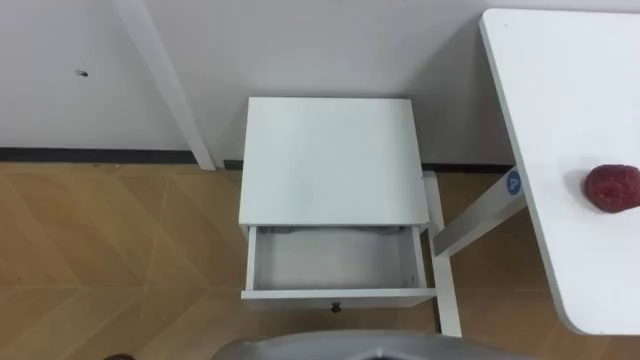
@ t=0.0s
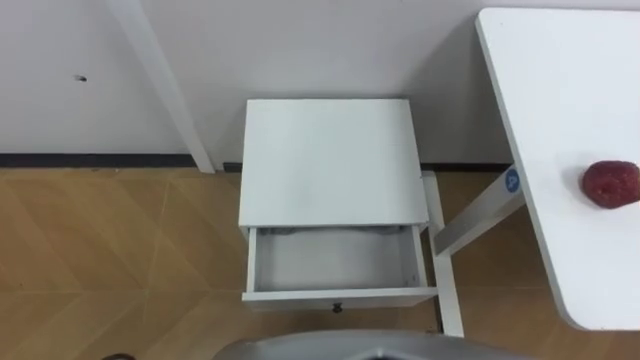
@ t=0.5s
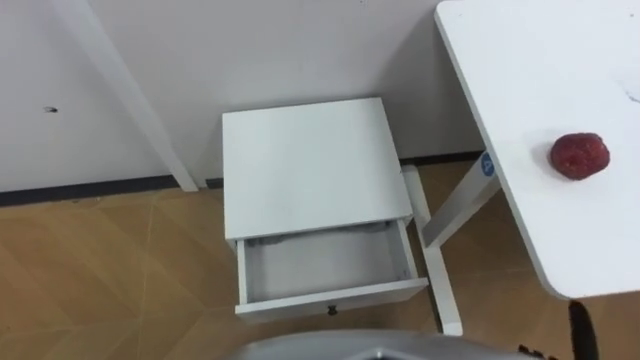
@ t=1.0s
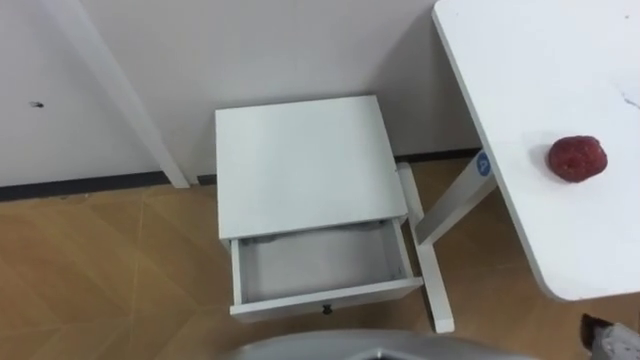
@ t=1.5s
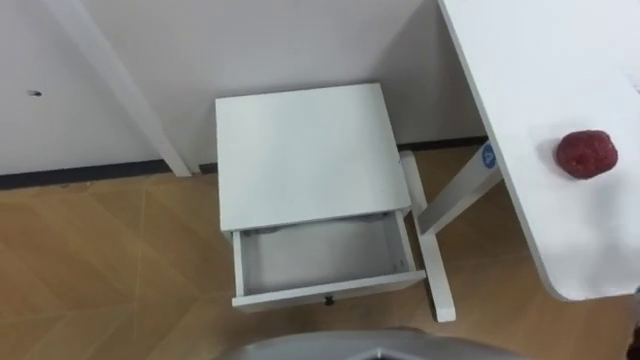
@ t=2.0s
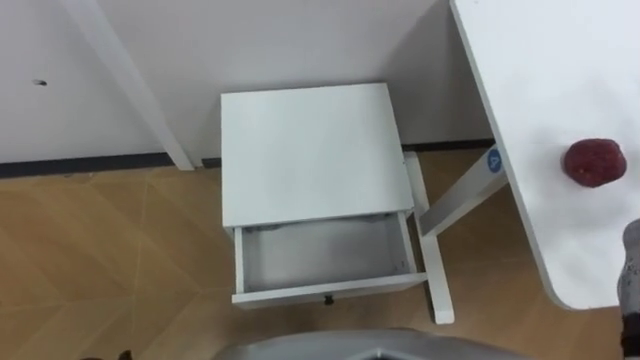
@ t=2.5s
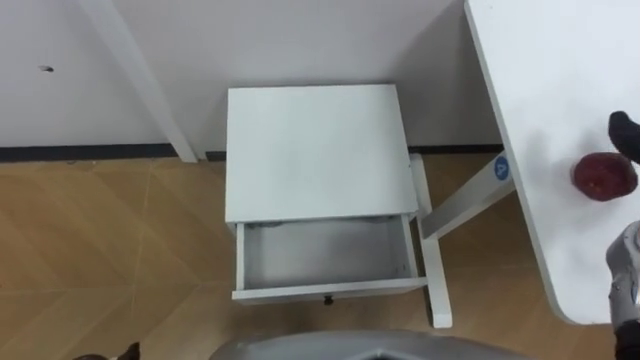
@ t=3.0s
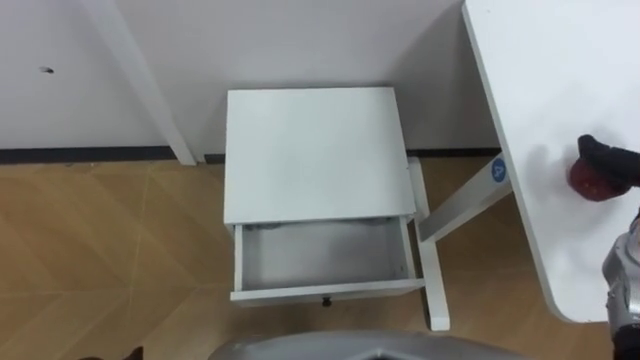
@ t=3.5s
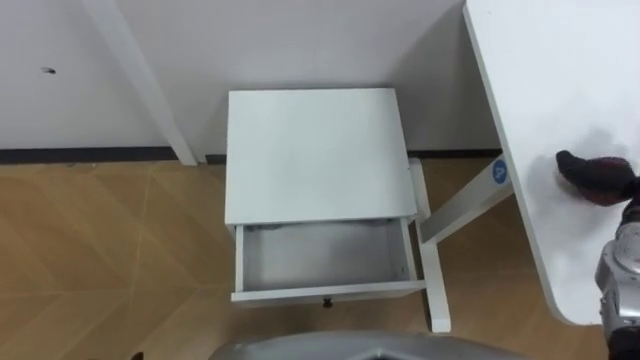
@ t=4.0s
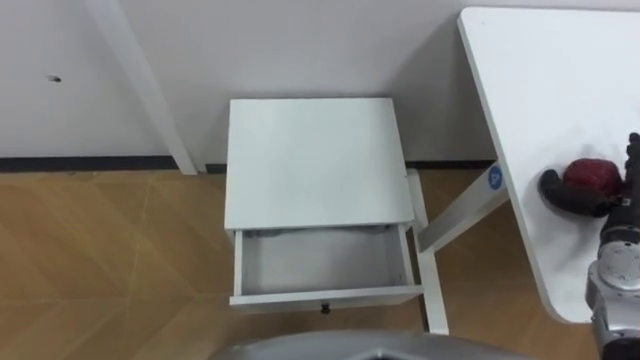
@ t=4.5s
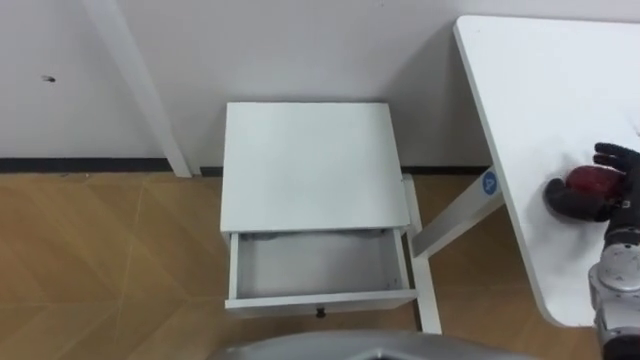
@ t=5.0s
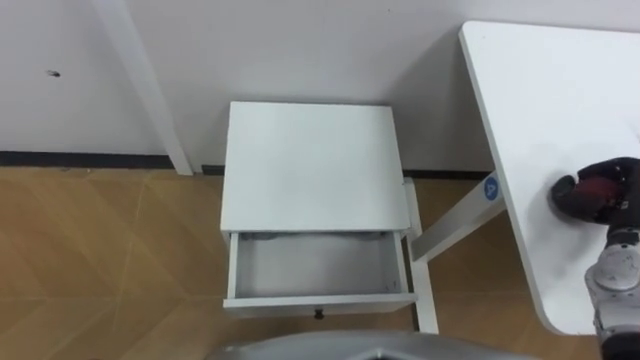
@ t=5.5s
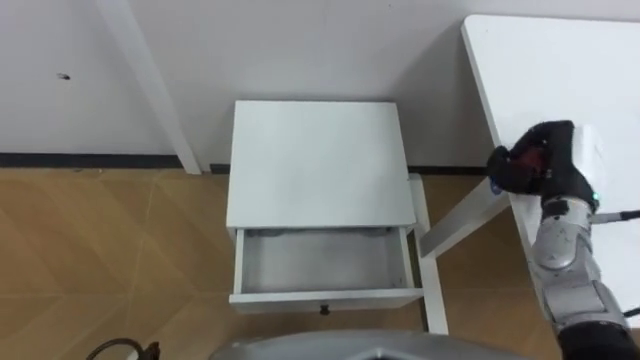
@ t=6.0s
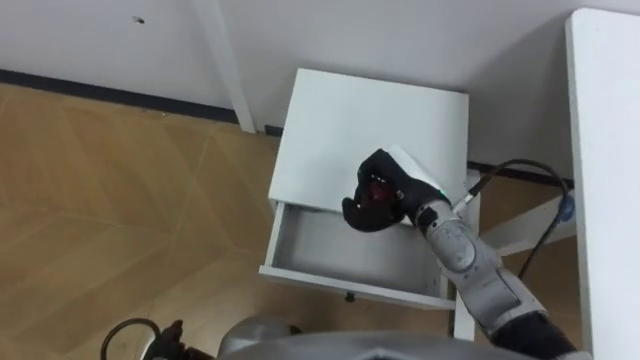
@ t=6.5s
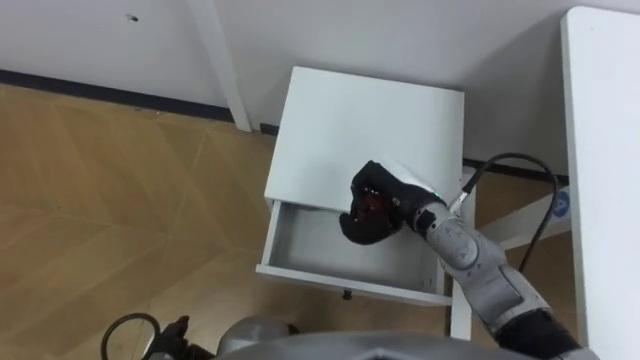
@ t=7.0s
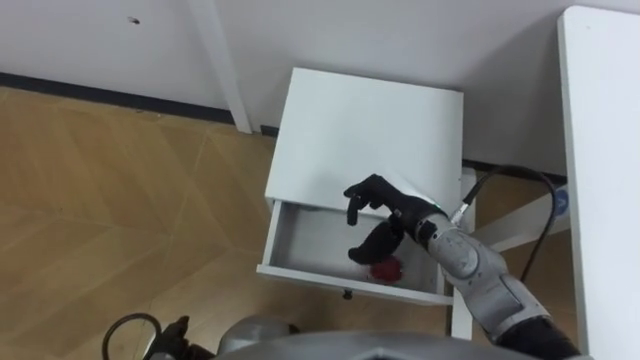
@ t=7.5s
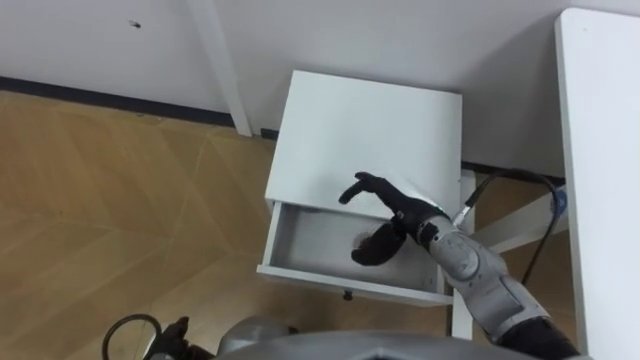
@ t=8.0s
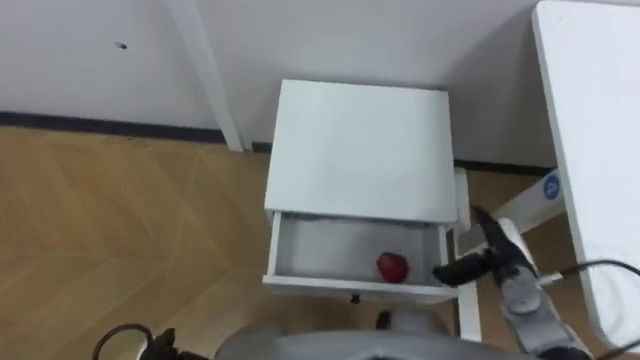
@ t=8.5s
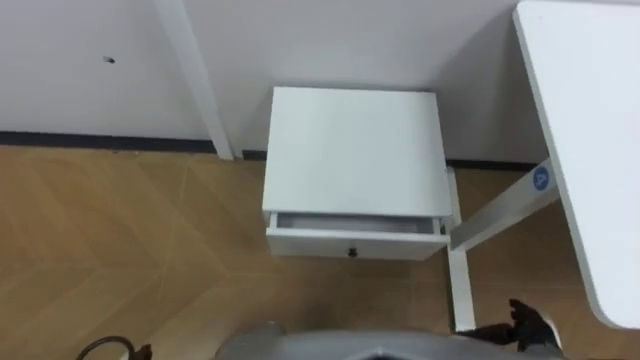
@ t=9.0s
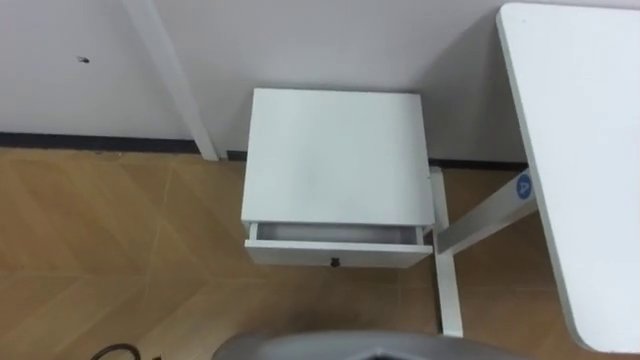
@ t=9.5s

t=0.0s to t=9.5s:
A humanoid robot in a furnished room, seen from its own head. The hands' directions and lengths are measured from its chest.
Task of the whole recording: Pick up the apple from the table, put it in the drawer, and close the drawer with leg.
t=5.5s to t=7.5s: The right hand shifts approximately 30 cm to the left.

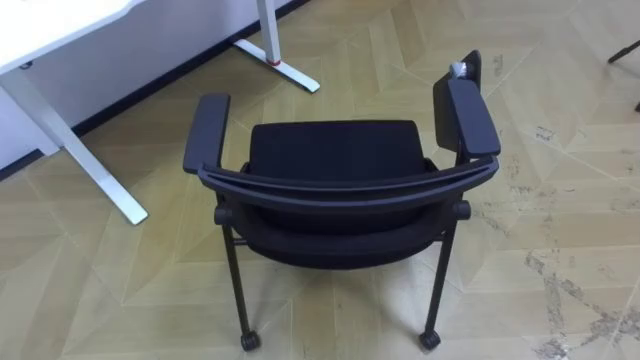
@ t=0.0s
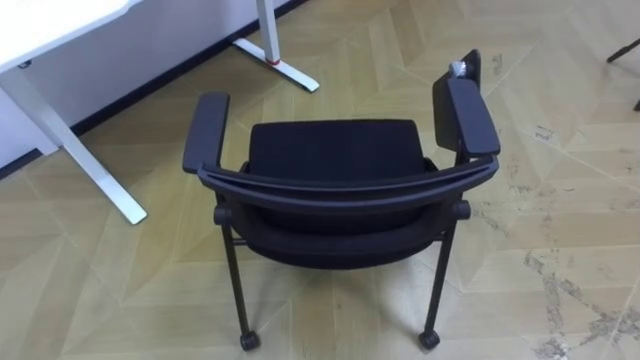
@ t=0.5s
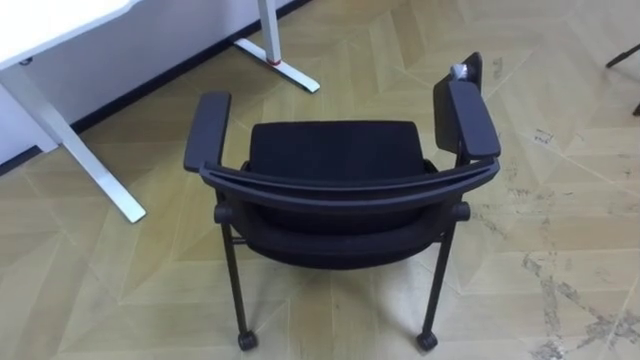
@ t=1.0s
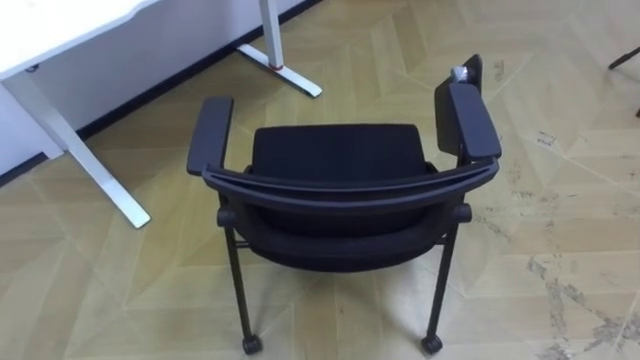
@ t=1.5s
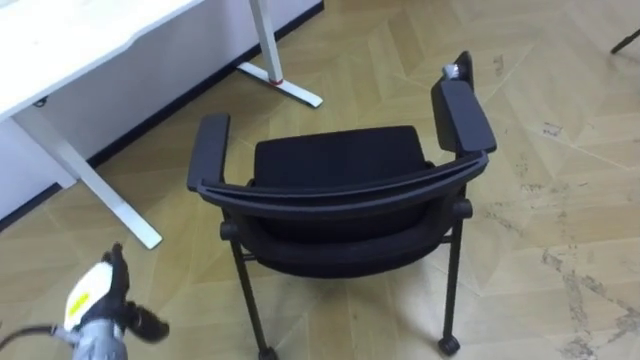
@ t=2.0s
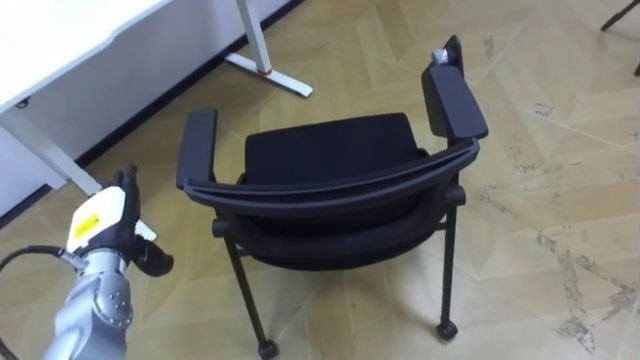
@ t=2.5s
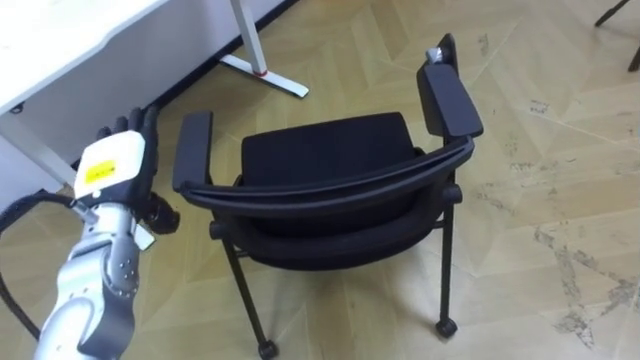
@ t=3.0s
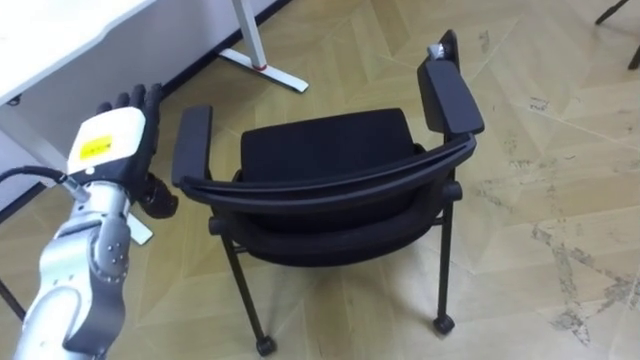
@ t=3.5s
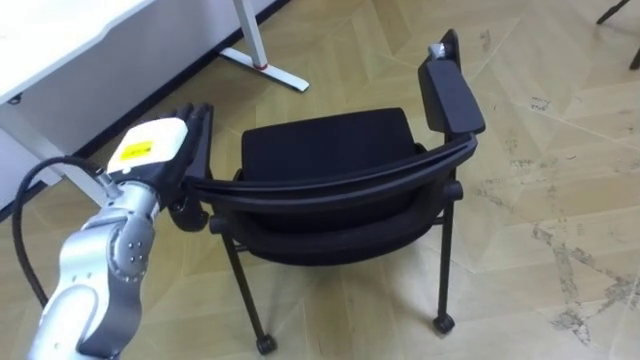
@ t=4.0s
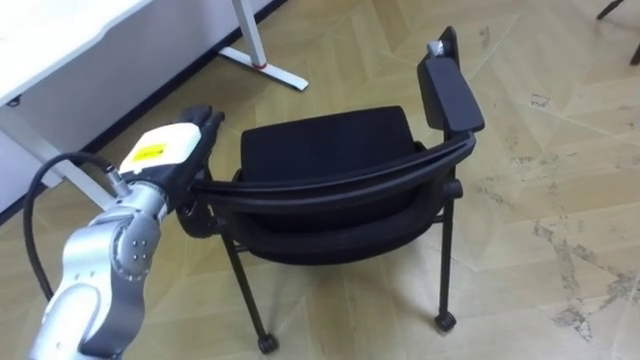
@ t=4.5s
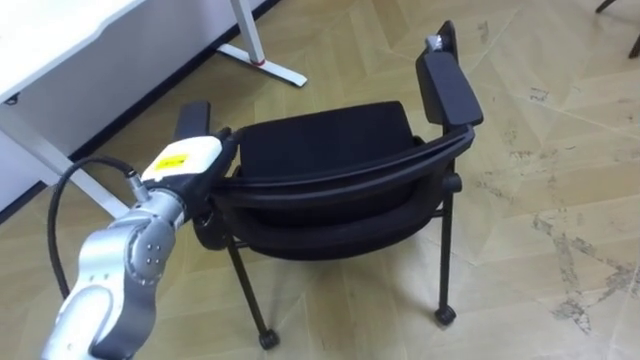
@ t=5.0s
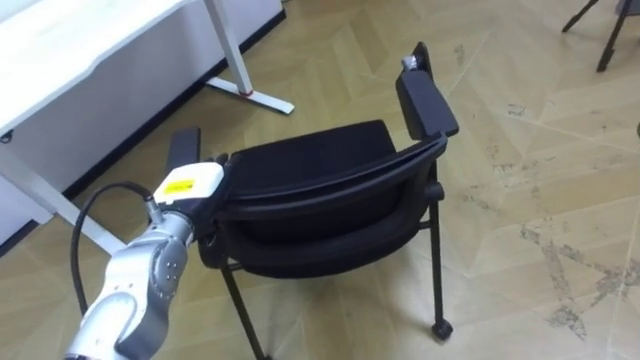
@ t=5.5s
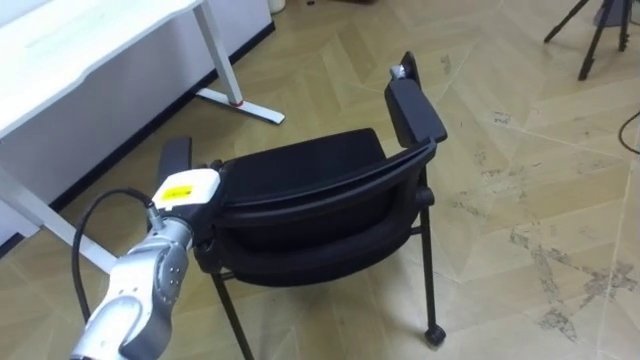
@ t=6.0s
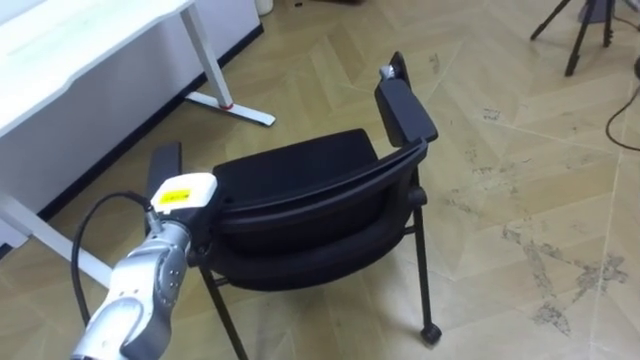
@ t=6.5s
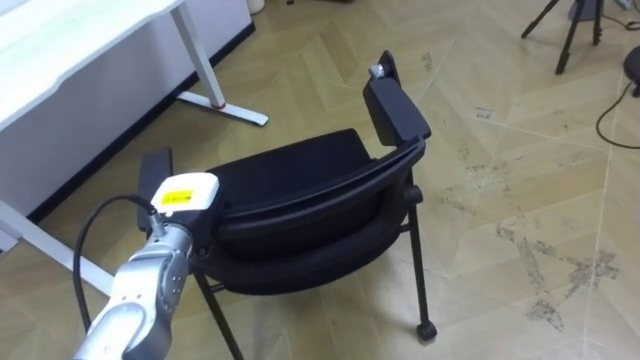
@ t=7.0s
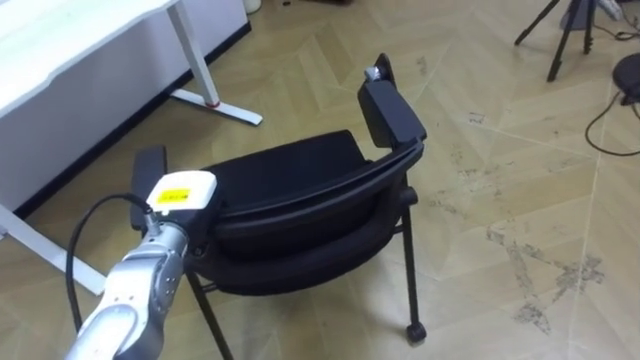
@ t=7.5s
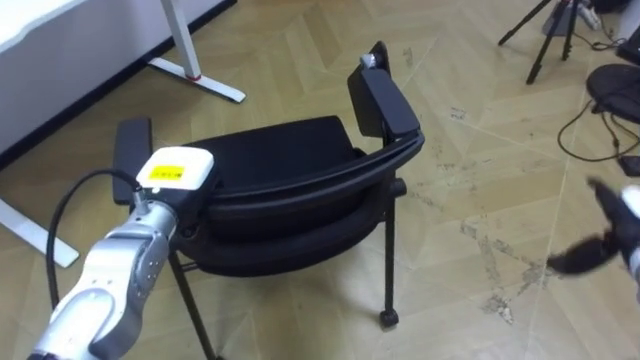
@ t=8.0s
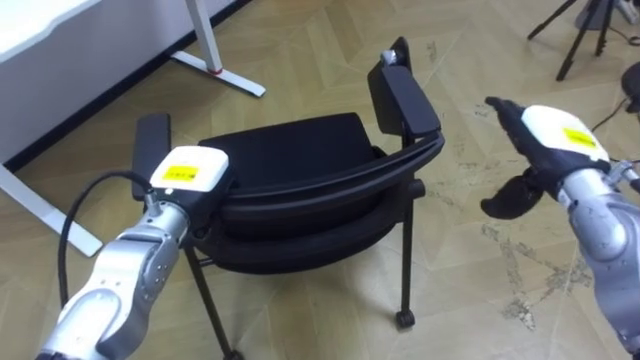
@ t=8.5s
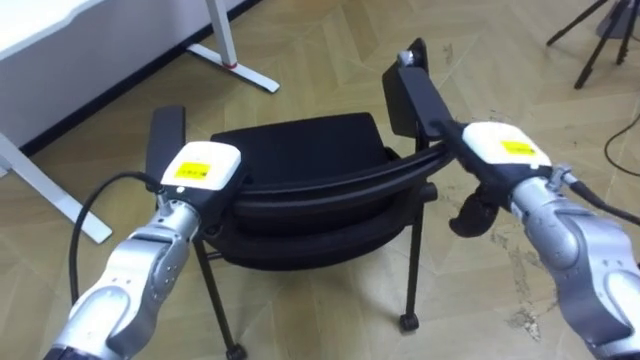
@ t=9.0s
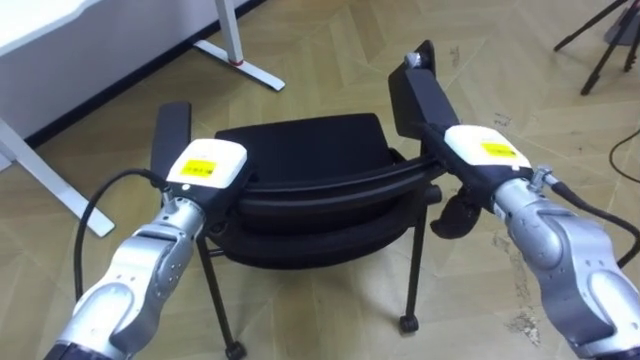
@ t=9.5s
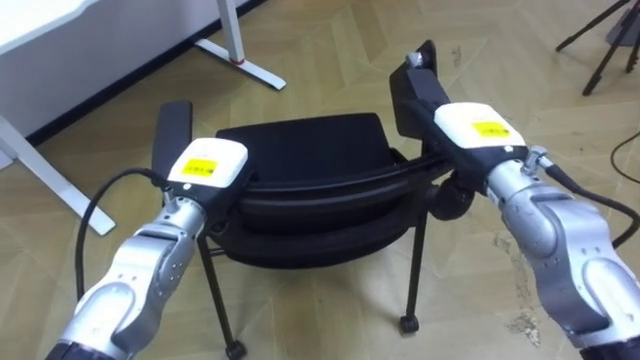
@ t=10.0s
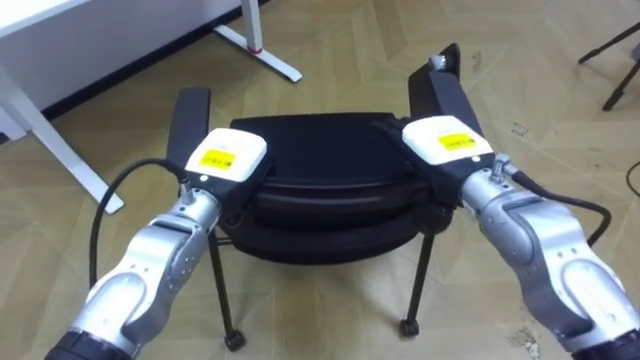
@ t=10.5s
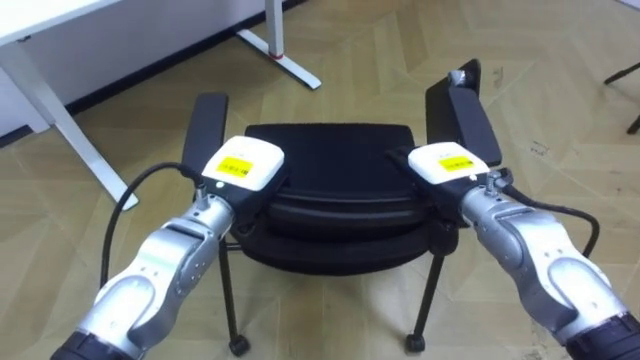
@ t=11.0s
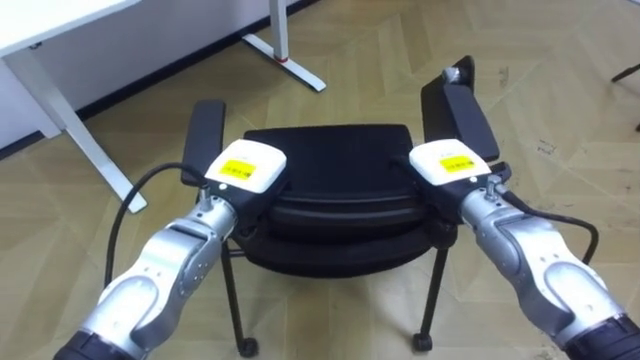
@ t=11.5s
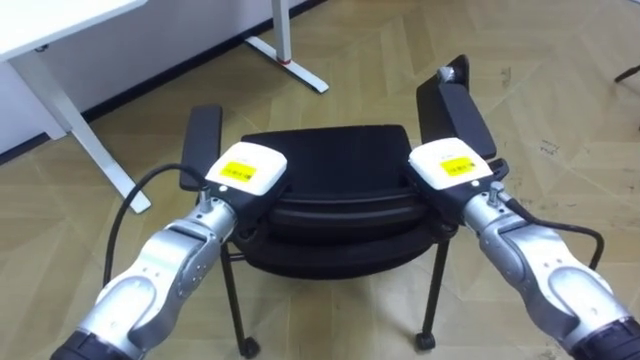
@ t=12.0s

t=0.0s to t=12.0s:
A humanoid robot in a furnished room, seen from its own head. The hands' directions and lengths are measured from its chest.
Task of the whole recording: Push the chair under the table.
t=2.0s to t=4.0s: The left hand goes roughly 25 cm upward, forward and to the right.
t=4.0s to t=6.0s: The left hand is displaced downward by approximately 10 cm.
t=6.0s to t=8.0s: The left hand closes up.
t=8.0s to t=10.0s: The right hand heads to the left and upward, covering roughly 25 cm.
t=10.0s to t=12.0s: The right hand travels downward by about 5 cm, and closes.
